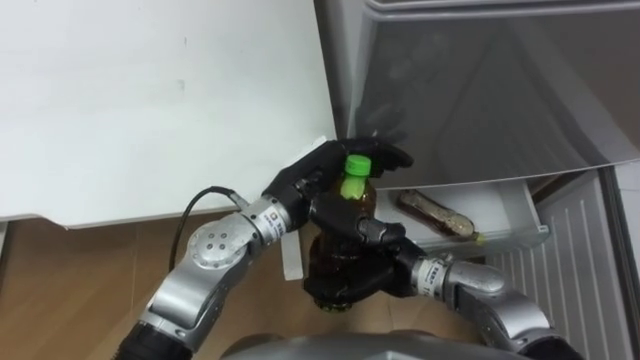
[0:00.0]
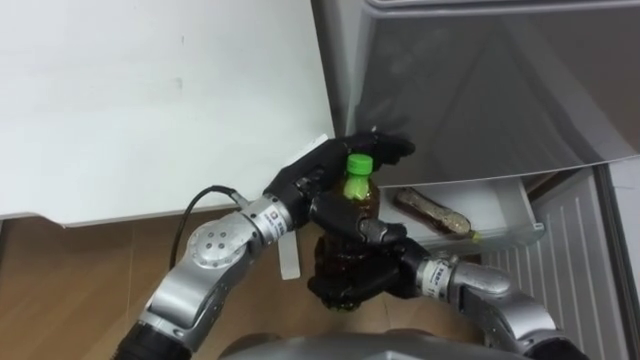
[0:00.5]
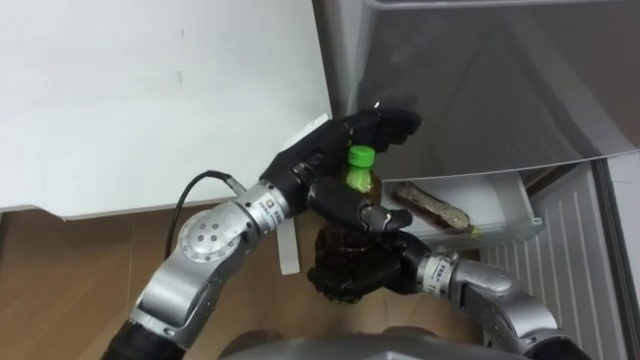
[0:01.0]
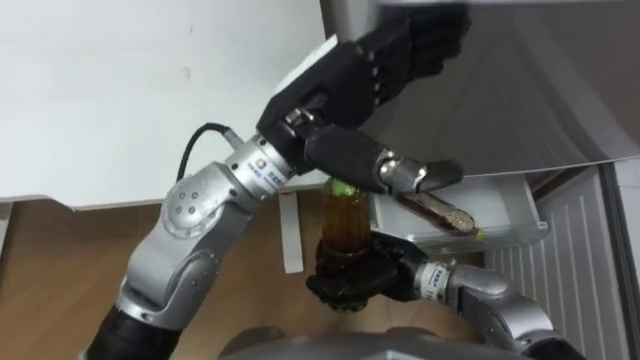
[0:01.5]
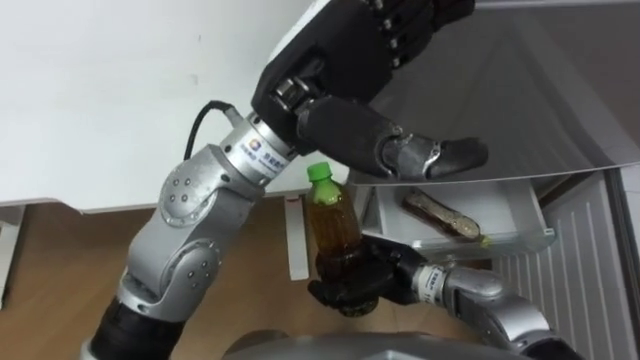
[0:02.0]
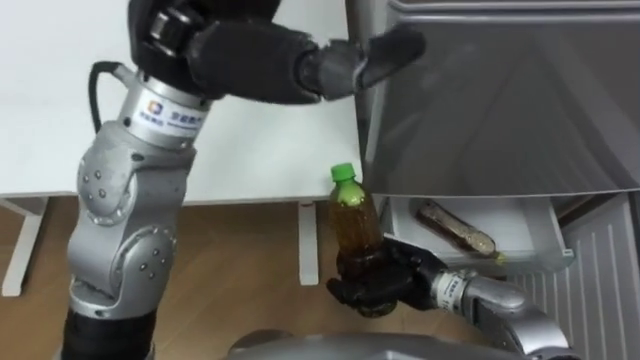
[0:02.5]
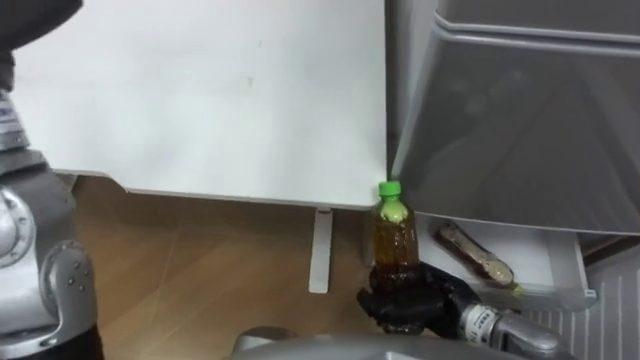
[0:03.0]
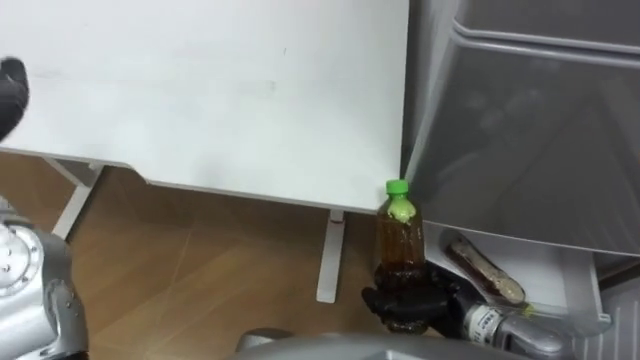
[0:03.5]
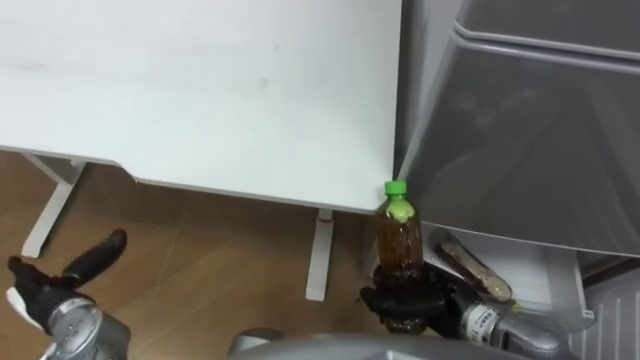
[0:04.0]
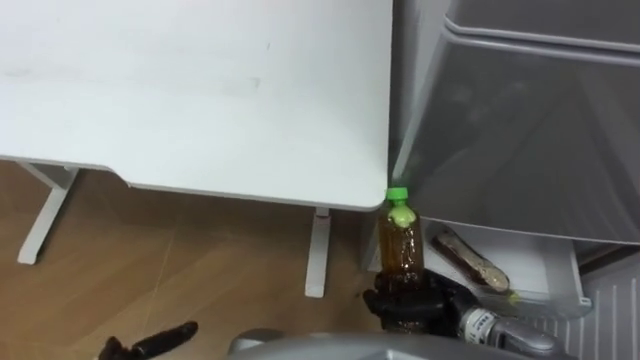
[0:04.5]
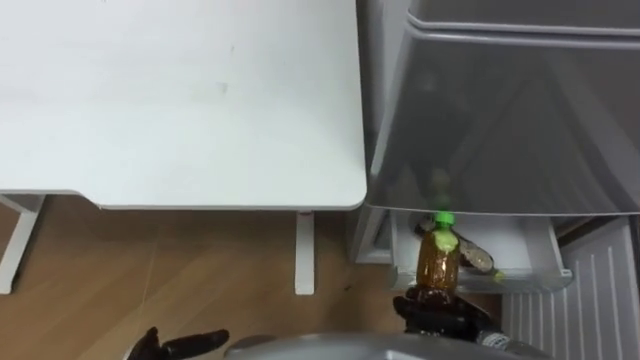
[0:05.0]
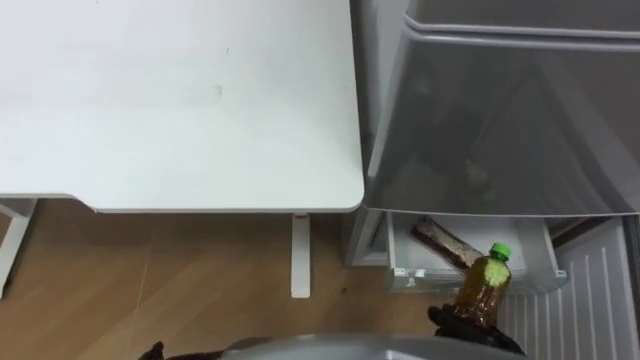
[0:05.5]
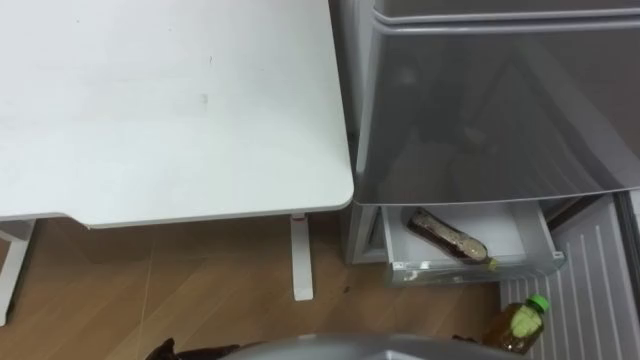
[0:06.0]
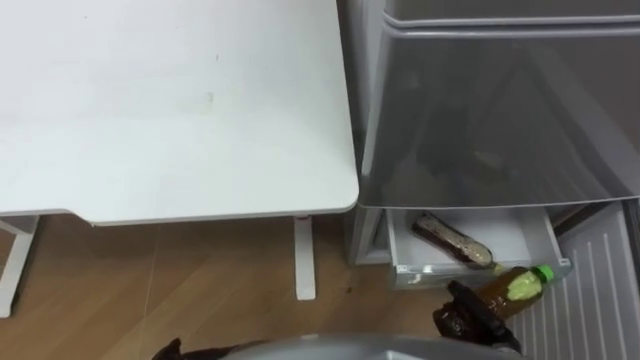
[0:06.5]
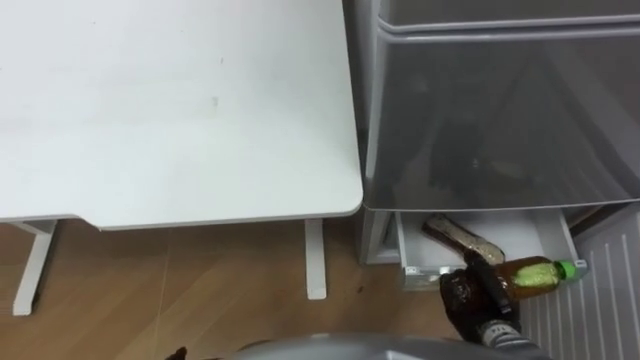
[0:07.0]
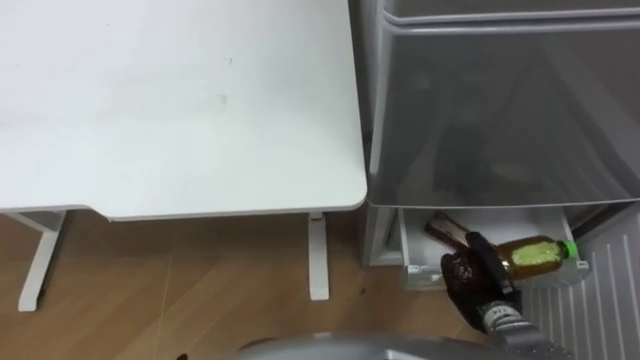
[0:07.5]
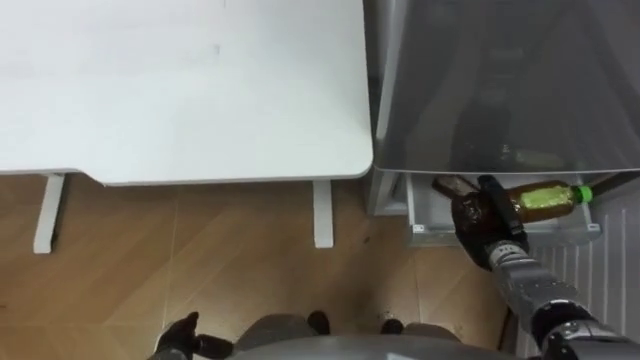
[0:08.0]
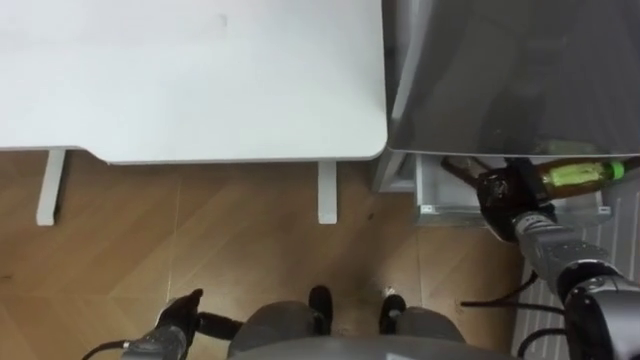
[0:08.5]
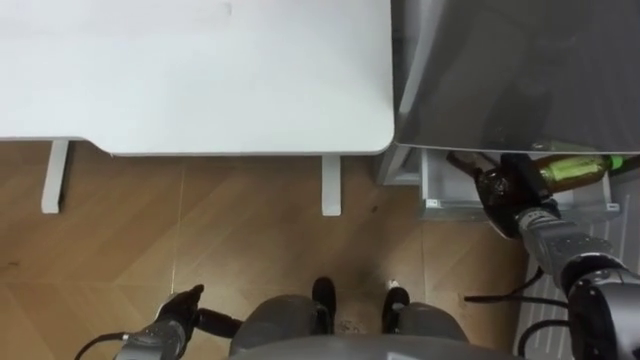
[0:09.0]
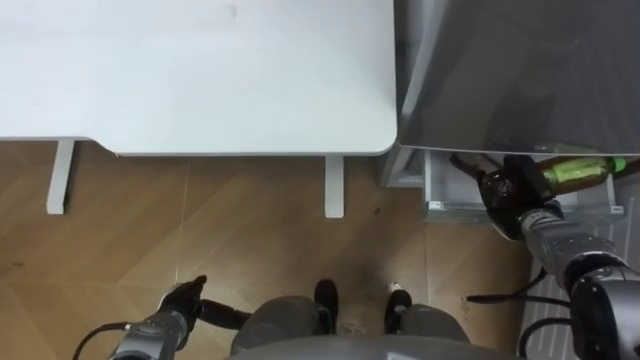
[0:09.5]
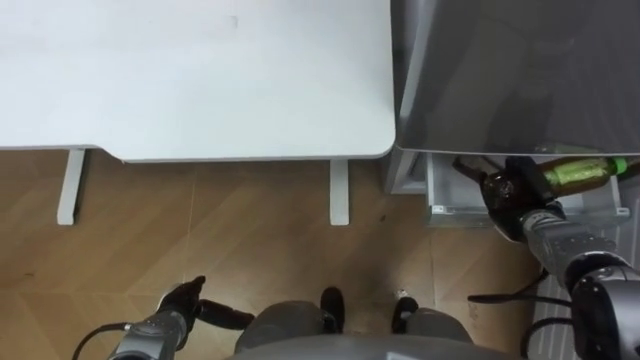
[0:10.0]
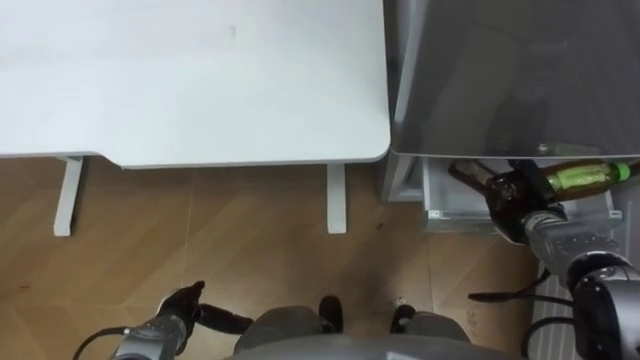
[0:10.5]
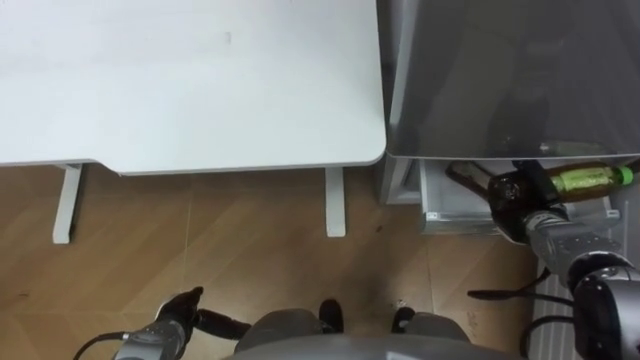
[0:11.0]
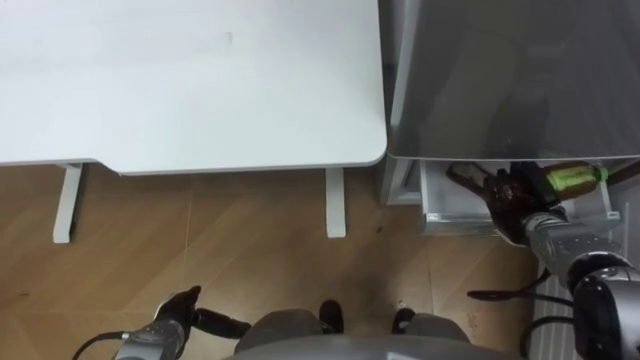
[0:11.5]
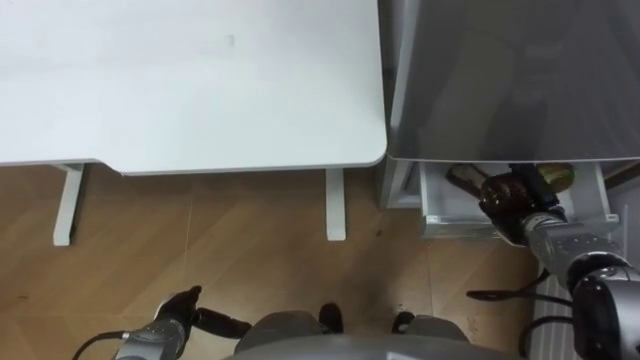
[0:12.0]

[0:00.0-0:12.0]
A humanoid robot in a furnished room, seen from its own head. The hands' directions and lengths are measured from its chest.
Task of the whole recording: Place the drink on the table on the bottom shelf of the refrigerator, then close the drawer and the refrigerator door.
0:00.0 to 0:02.0: The left hand goes some 20 cm upward.
0:02.0 to 0:04.0: The right hand goes roughly 10 cm to the right.
0:08.0 to 0:10.0: The left hand heads forward, covering approximately 5 cm. The right hand ends up roughly 5 cm from where it was.
0:10.0 to 0:12.0: The right hand opens.

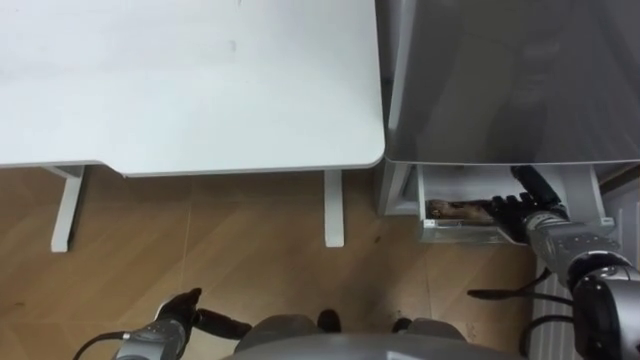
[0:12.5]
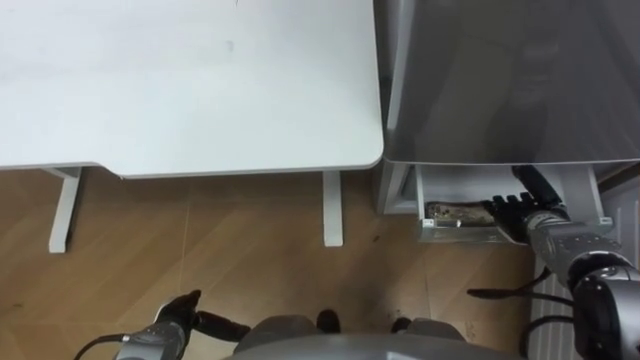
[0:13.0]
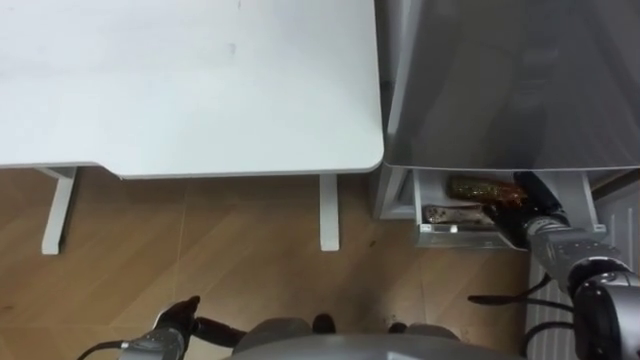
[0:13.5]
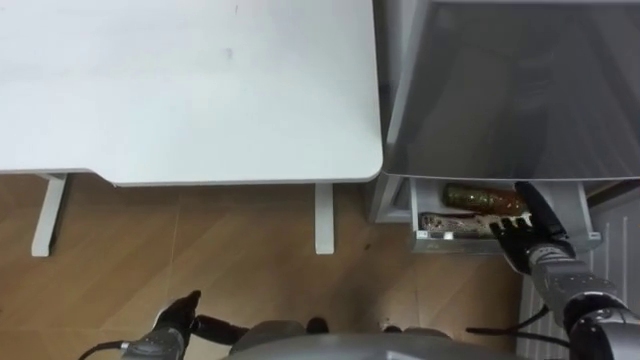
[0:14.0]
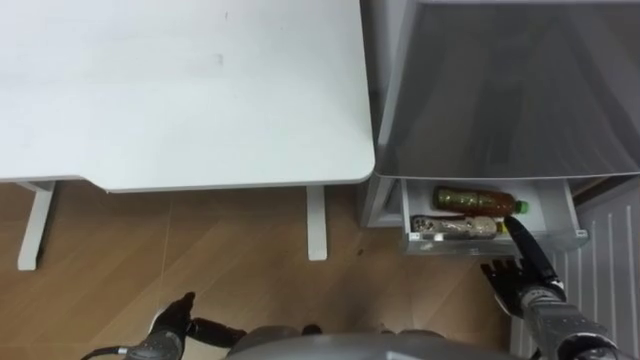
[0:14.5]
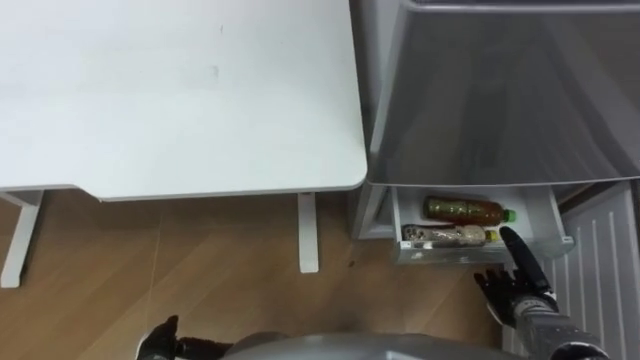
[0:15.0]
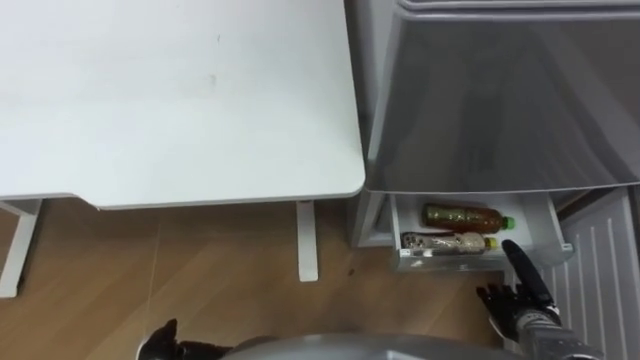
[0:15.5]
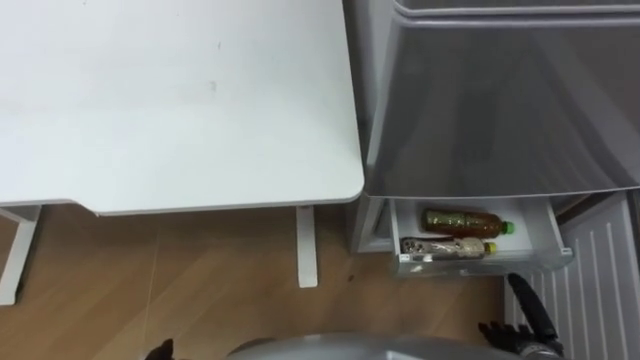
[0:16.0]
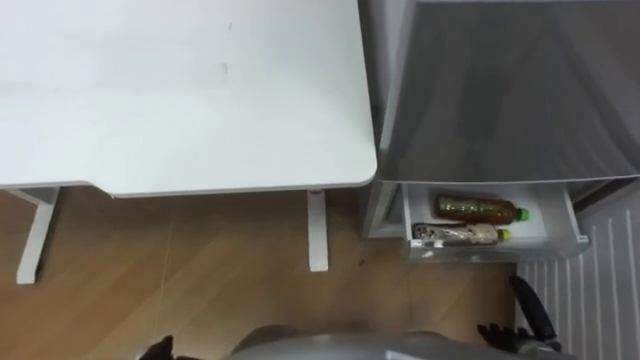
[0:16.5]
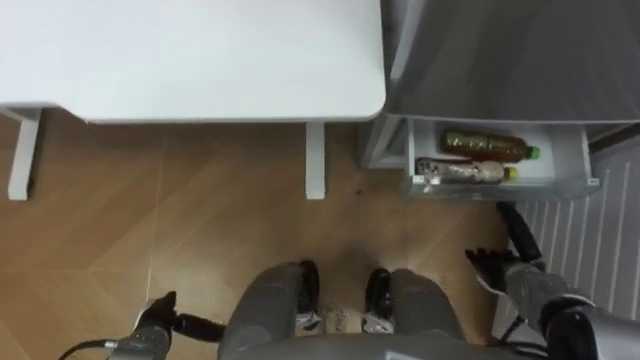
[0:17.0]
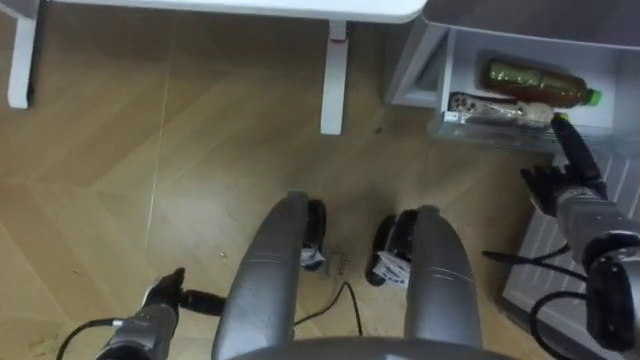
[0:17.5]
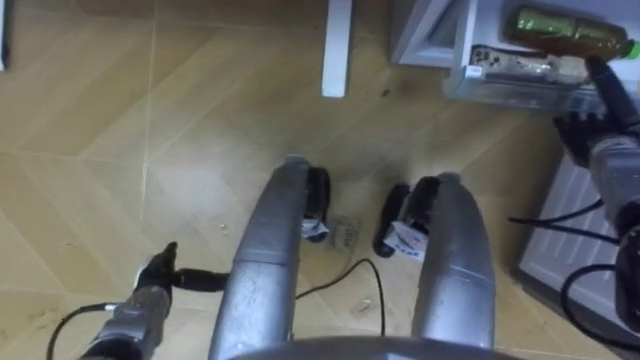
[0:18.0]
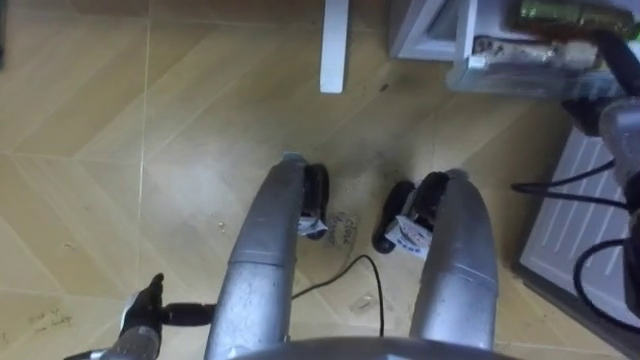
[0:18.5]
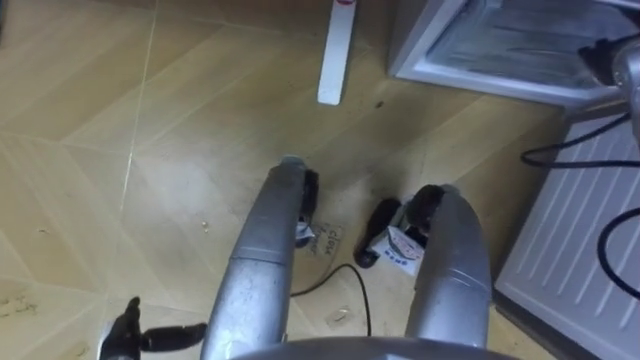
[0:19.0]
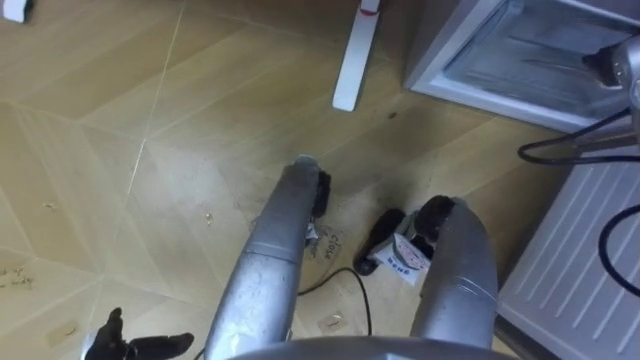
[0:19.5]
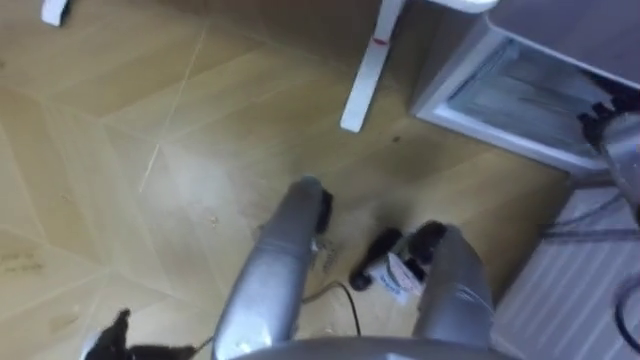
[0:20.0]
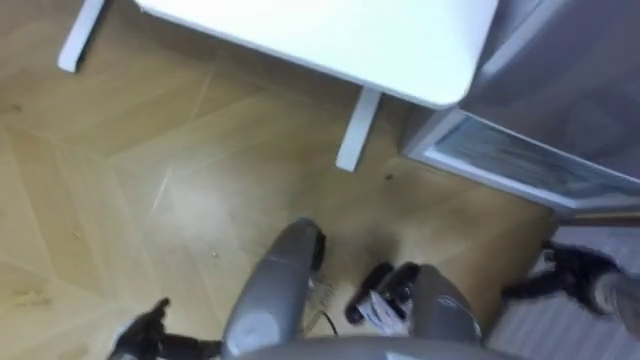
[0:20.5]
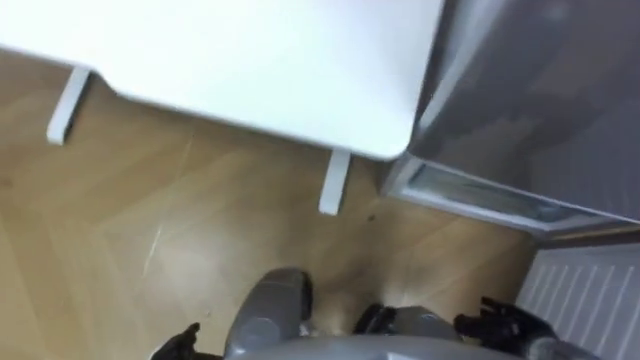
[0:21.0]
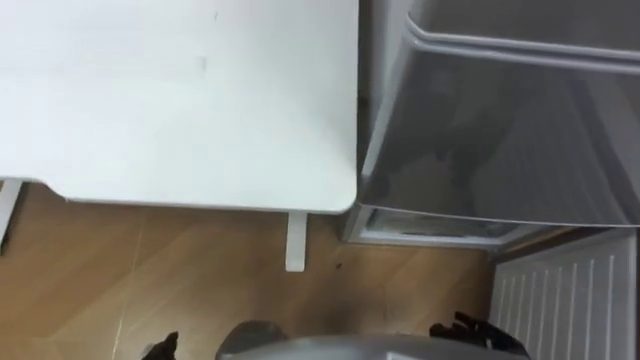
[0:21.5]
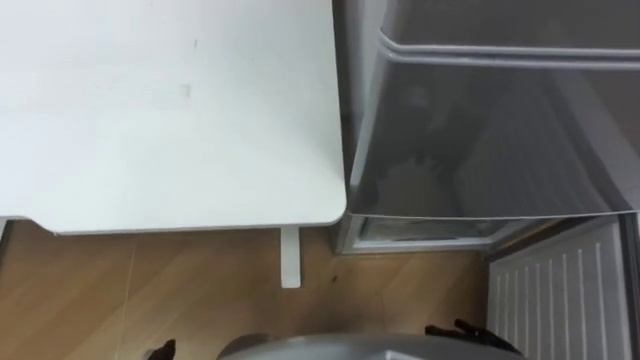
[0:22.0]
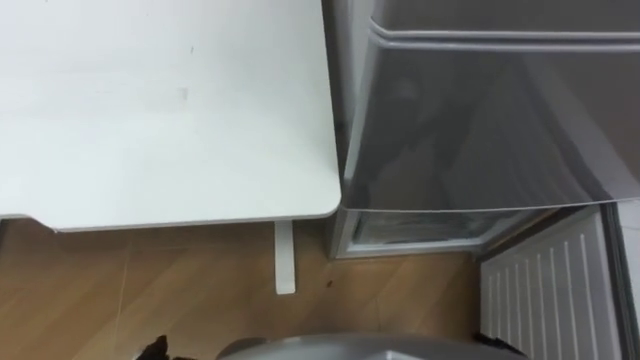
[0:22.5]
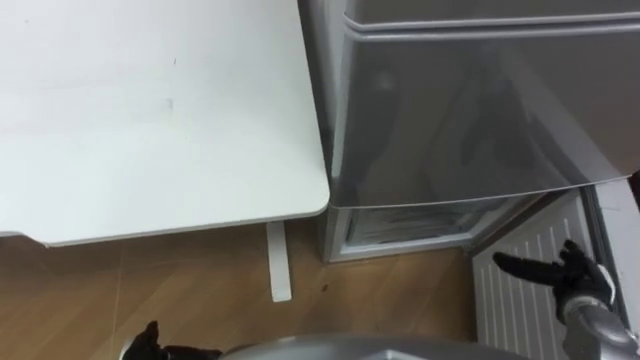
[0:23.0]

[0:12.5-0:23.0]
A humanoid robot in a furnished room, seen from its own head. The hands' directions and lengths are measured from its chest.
Task of the whole recording: Place the drink on the table on the bottom shelf of the refrigerator, then close the drawer and the refrigerator door.
0:12.5 to 0:14.5: The right hand is displaced backward by some 10 cm.
0:14.5 to 0:16.5: The right hand travels backward by about 10 cm.
0:16.5 to 0:19.0: The right hand moves forward and upward, about 40 cm.
0:19.0 to 0:21.0: The right hand goes approximately 40 cm backward and downward.
